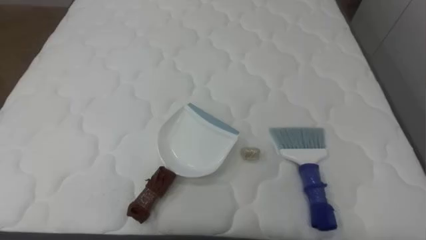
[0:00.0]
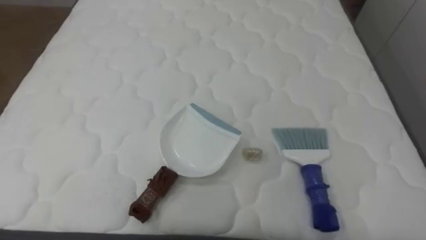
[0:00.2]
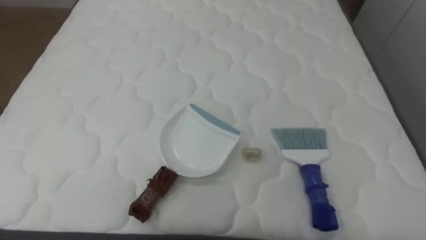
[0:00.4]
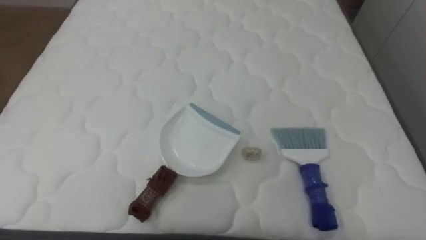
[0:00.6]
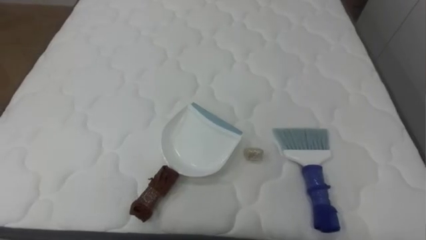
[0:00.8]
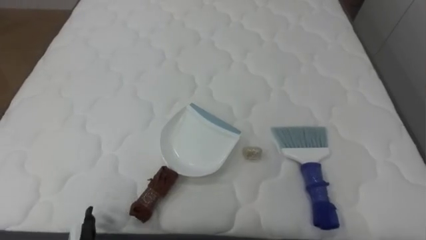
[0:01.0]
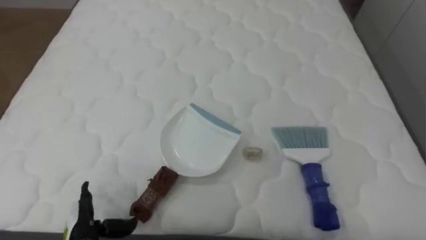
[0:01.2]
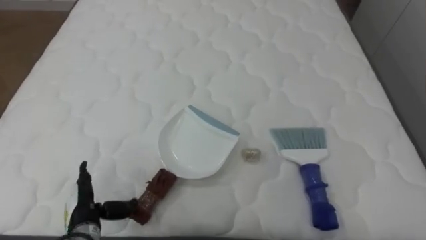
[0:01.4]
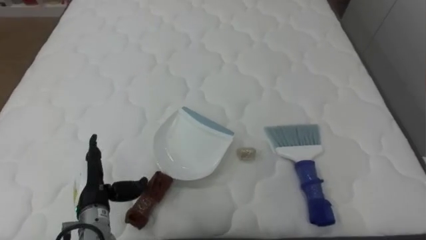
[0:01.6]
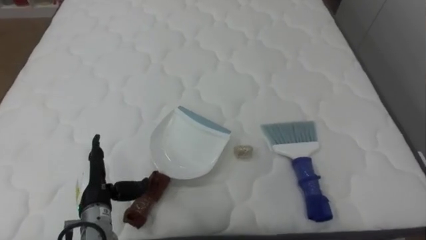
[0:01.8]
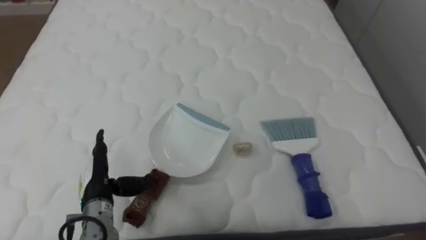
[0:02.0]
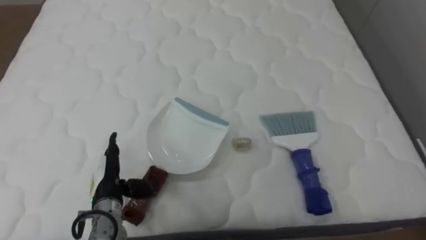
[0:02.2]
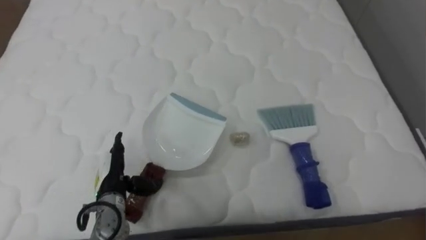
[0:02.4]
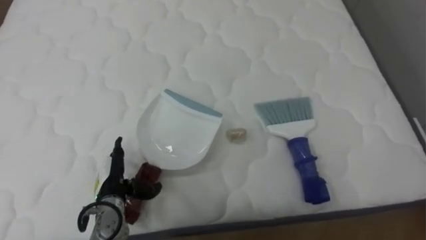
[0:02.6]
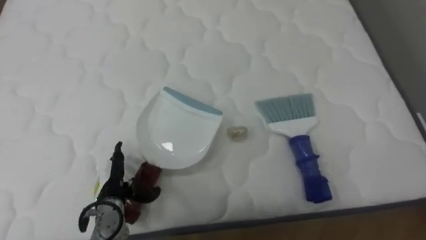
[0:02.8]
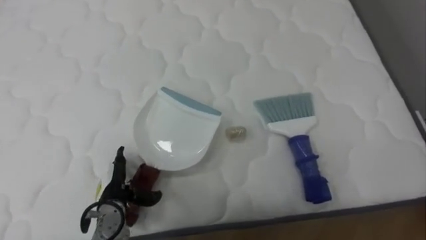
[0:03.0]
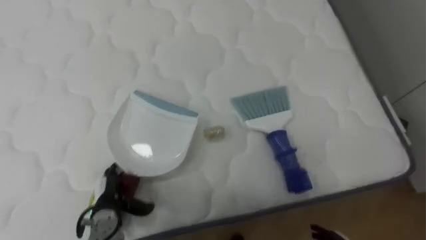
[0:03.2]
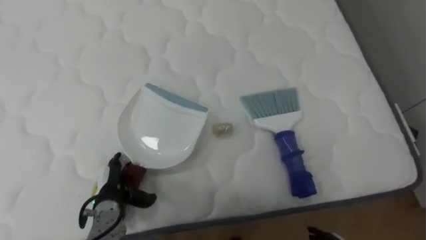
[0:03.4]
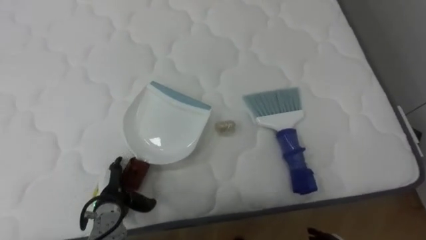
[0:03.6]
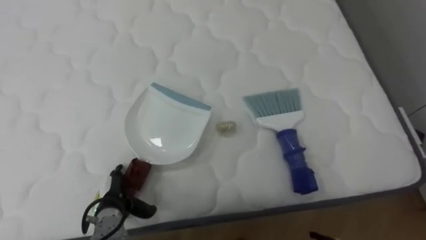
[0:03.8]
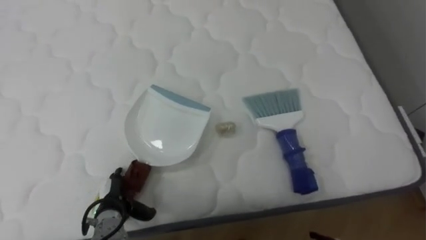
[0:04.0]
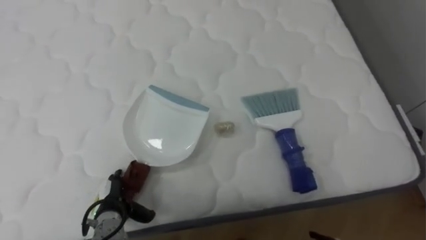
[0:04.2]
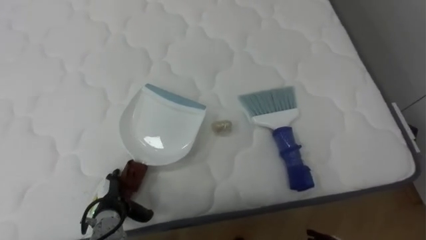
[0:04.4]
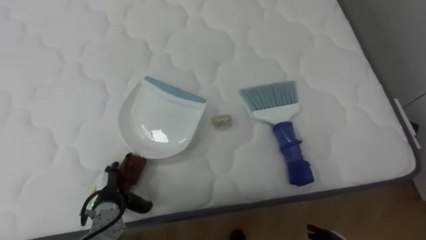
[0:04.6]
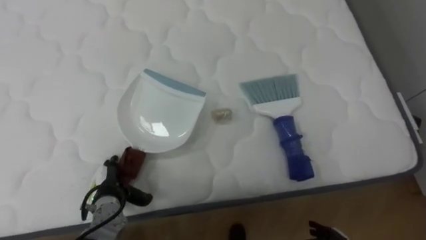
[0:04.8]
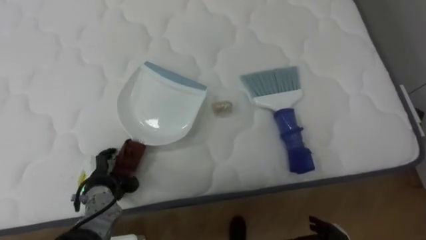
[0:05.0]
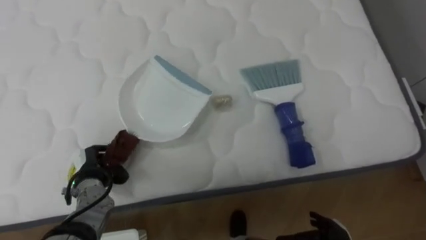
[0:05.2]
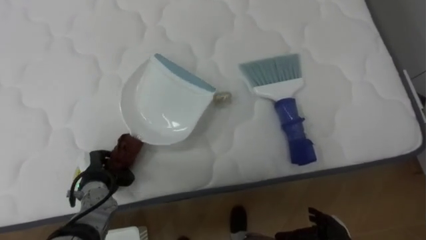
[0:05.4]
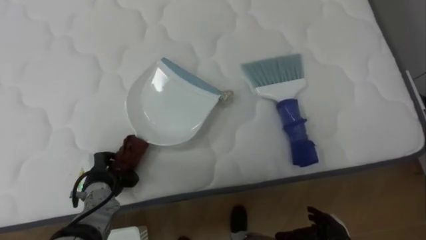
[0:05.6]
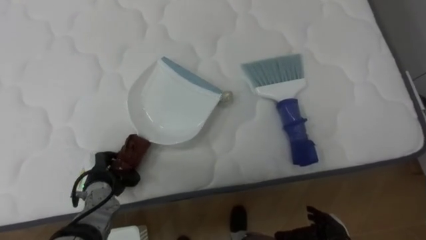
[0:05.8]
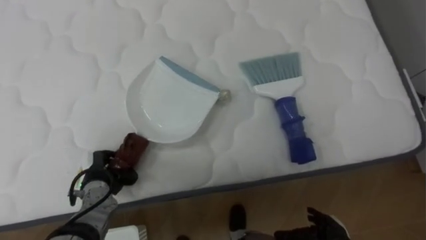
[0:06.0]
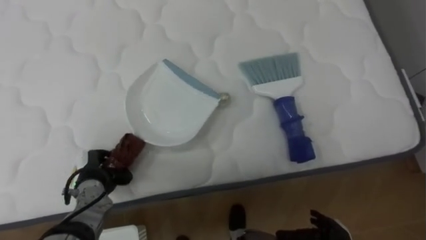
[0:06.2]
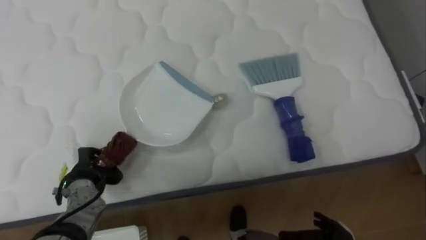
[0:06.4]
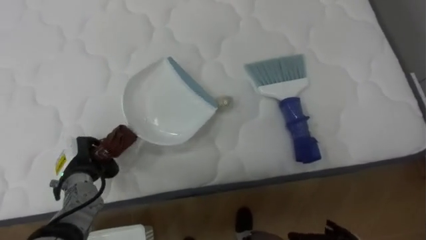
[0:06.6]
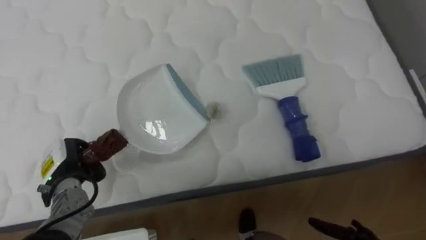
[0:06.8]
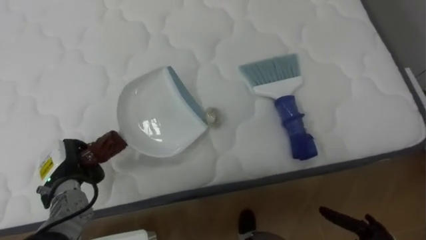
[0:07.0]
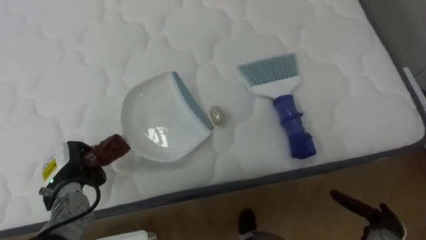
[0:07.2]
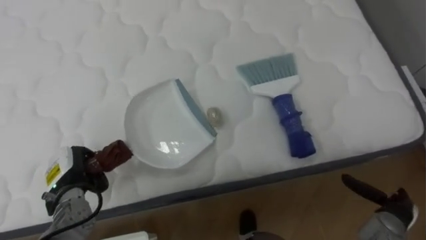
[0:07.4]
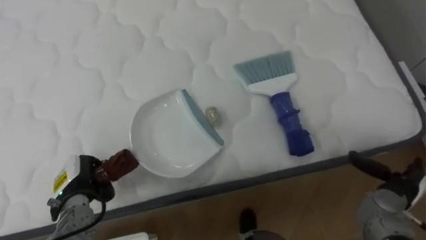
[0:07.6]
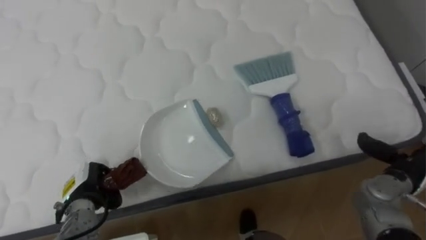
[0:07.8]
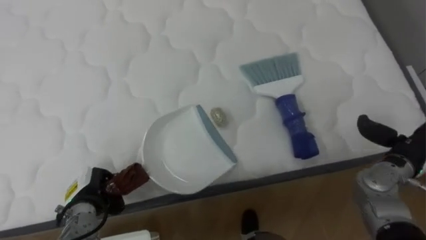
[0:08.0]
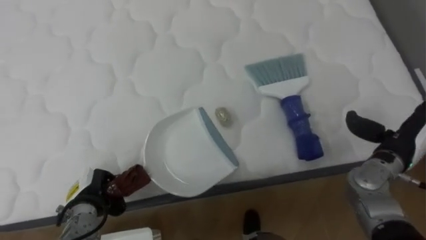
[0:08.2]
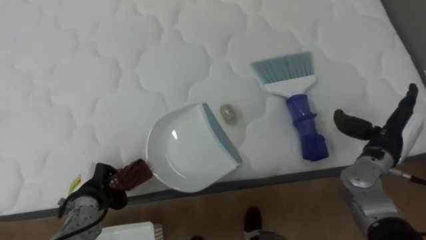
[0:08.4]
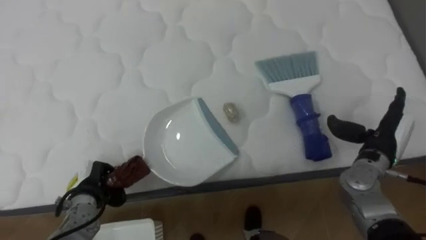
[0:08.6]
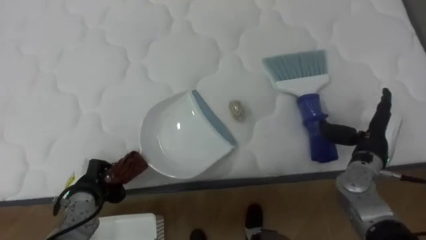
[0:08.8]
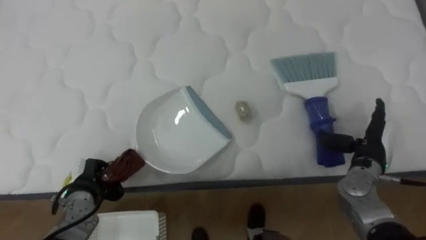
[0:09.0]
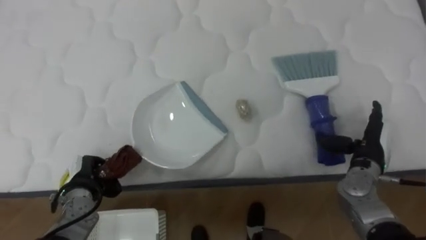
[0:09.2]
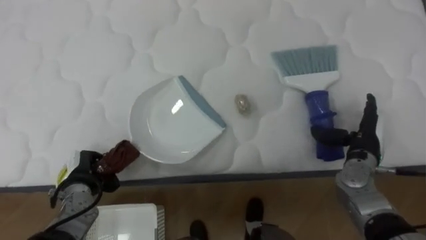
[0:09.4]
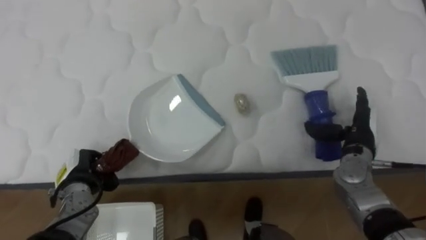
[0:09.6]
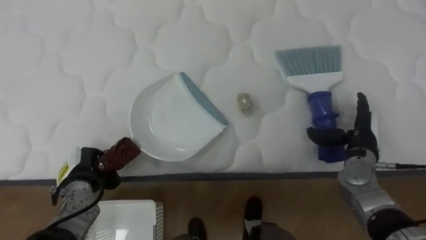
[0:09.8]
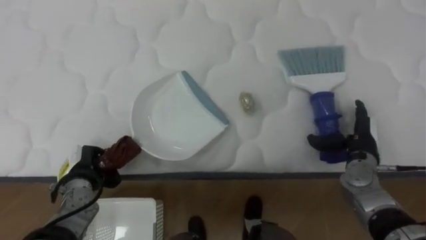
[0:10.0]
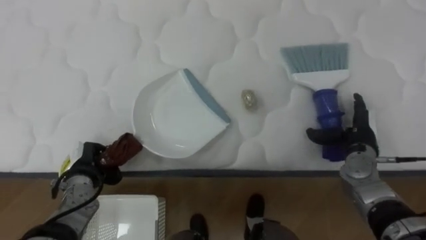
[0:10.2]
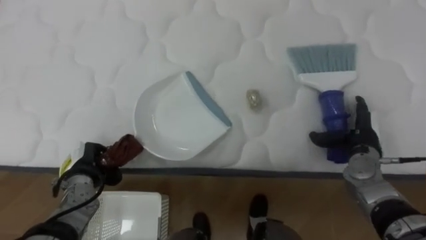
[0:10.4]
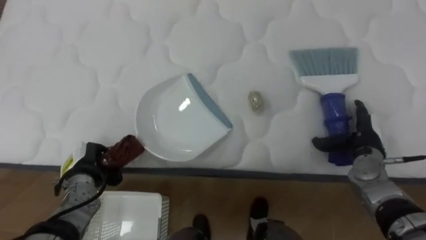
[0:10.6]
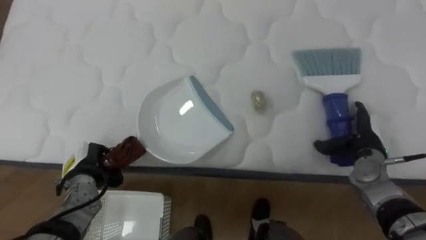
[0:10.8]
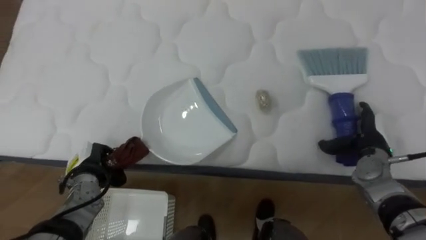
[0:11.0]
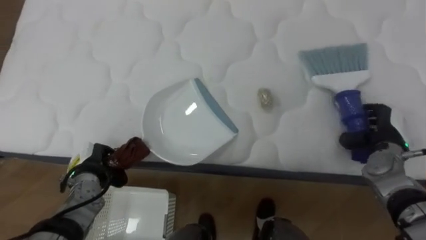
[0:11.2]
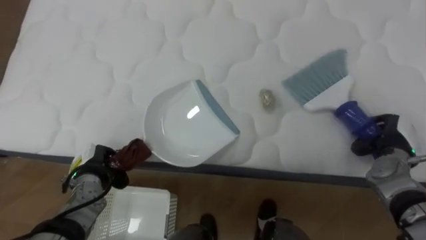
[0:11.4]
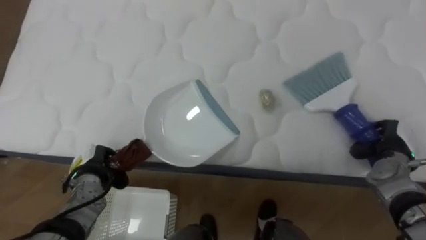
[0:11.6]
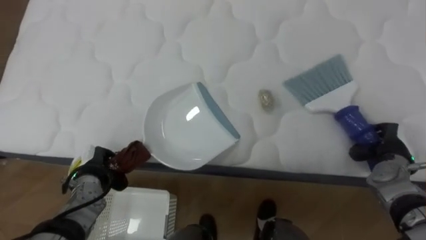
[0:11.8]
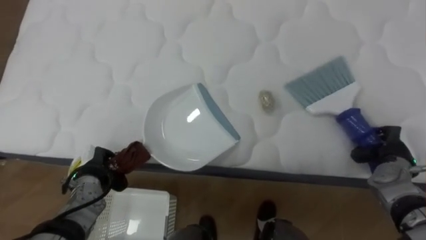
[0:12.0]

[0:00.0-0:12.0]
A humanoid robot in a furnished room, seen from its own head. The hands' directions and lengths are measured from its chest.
Task of the whole recording: Pick up the brush on your right and the dustpan on your left. Use the brush to sweep the crumpled paper on the bed into the dustpan, then turn left and empty it into the basket.
0:01.6 to 0:03.0: The left hand ends up approximately 5 cm from where it was.
0:04.4 to 0:06.0: The left hand is displaced forward by roughly 5 cm, and closes its fingers.
0:07.6 to 0:09.0: The right hand heads forward, upward and to the left, covering roughly 10 cm.
0:10.4 to 0:12.0: The right hand shifts some 5 cm to the right, and closes.

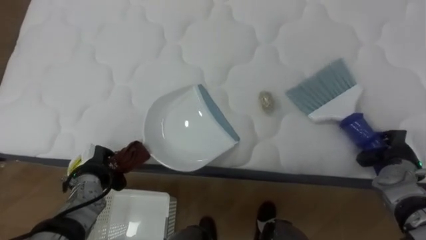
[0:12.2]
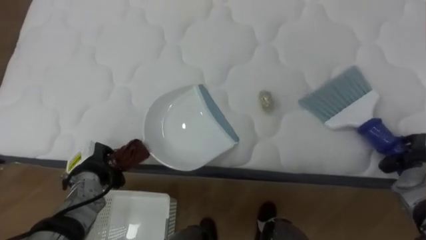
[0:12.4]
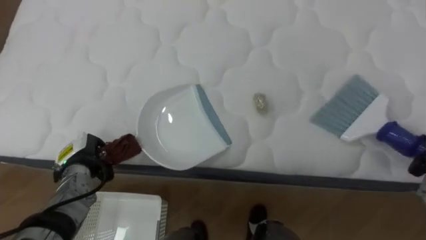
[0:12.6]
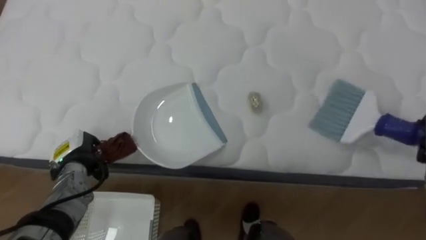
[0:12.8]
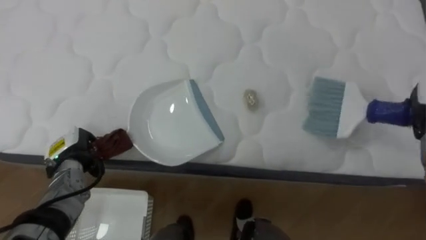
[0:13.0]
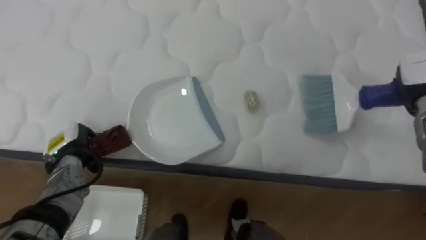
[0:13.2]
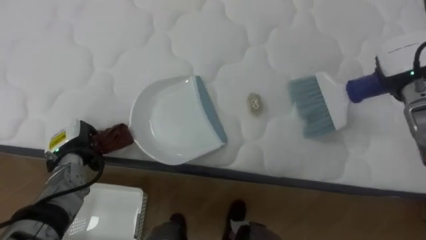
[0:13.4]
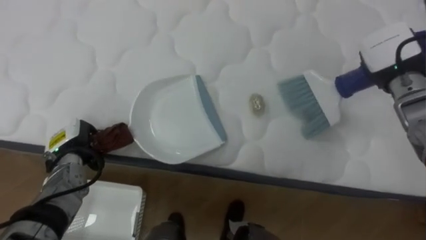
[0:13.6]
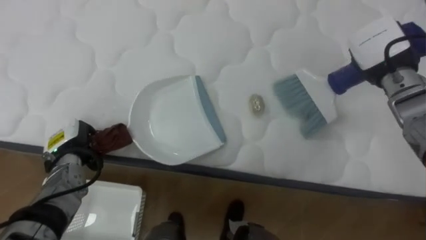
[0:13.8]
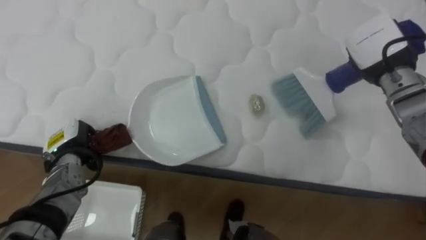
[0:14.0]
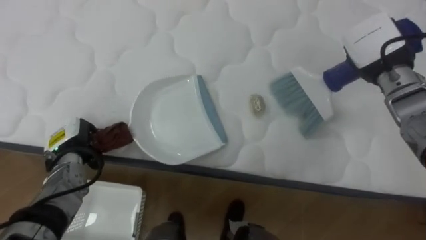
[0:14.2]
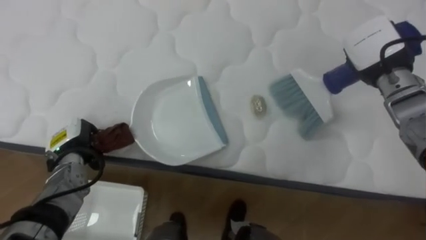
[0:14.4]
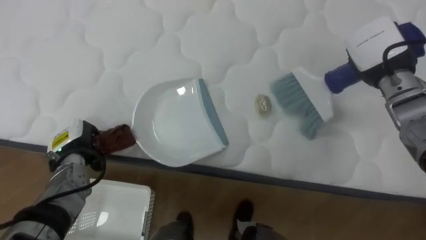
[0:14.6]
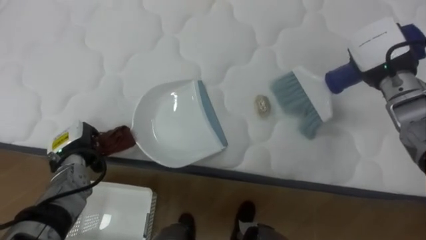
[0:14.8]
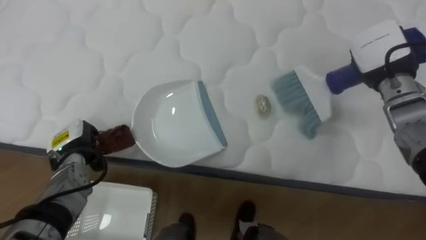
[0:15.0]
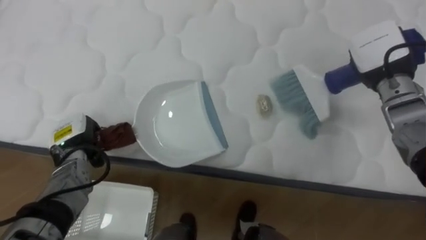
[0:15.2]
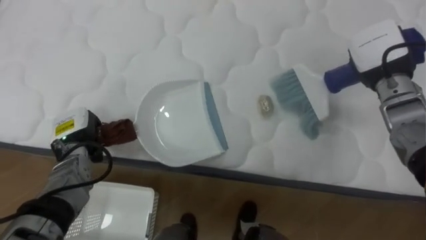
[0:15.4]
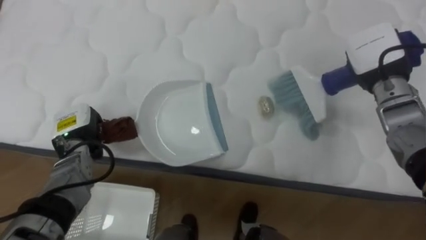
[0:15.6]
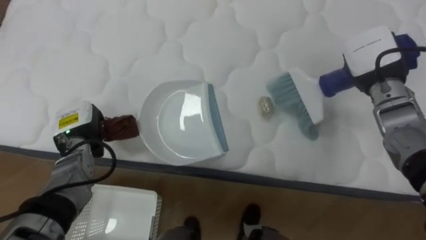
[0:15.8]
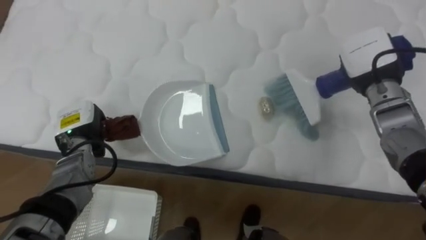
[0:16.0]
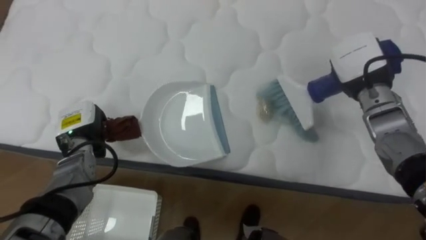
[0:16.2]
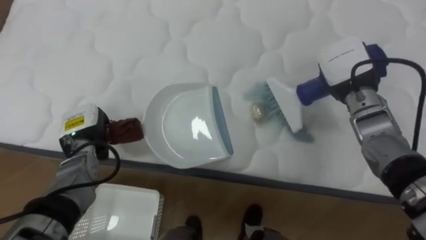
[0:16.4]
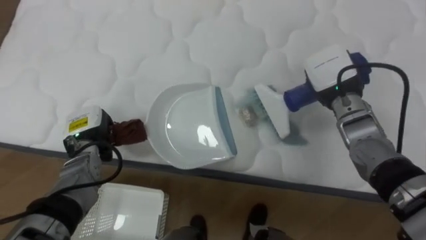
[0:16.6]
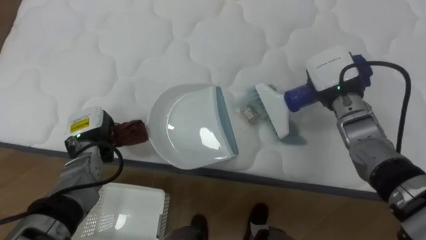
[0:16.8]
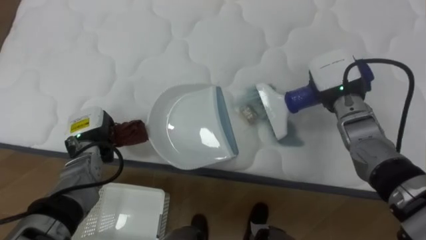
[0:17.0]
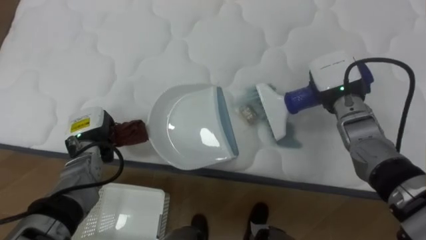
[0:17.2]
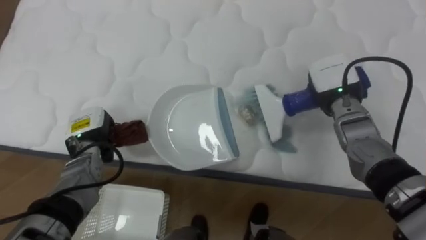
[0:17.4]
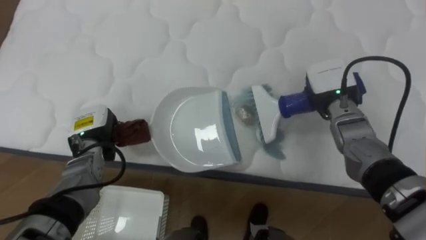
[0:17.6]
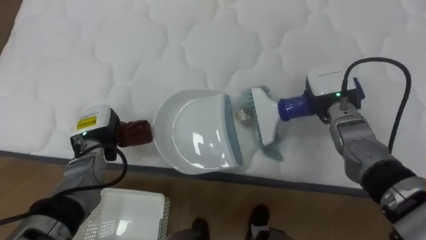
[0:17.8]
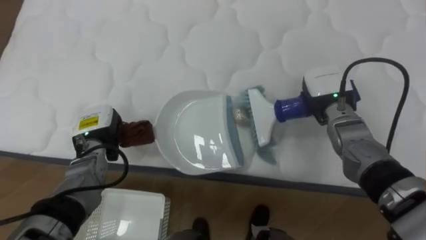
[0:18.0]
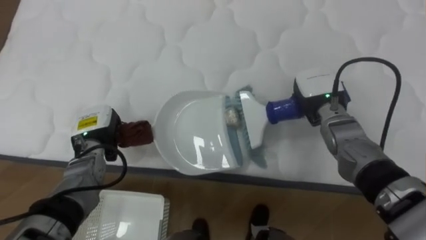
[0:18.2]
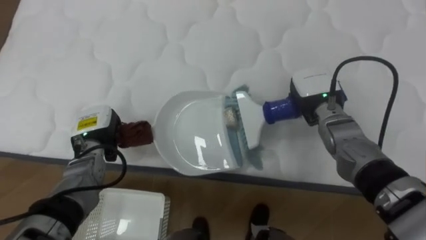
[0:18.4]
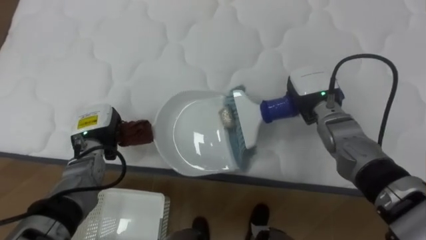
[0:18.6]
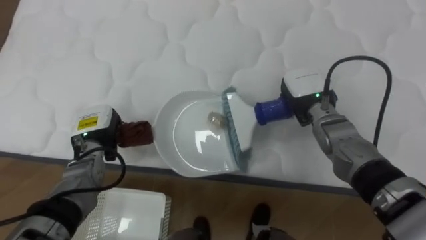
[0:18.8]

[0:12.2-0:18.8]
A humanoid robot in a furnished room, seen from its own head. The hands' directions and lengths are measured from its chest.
Task of the whole recording: Pick up the brush on your right and the dustpan on your left. Use the brush to sweep the crumpled paper on the bed into the dustpan, then turn left and empty it into the basket.
0:12.2 to 0:13.8: The left hand is displaced upward by about 5 cm.
0:15.4 to 0:17.2: The right hand shifts approximately 10 cm to the left and downward.
0:17.2 to 0:18.8: The right hand changes place by some 5 cm.
